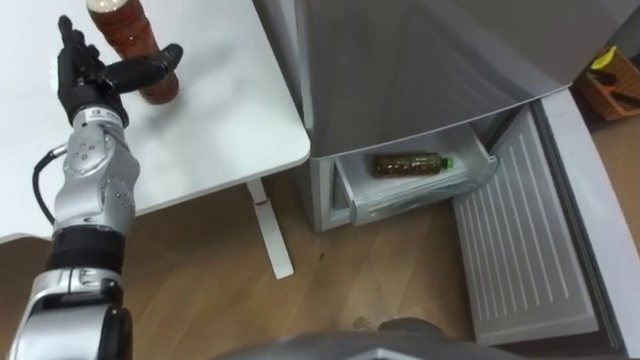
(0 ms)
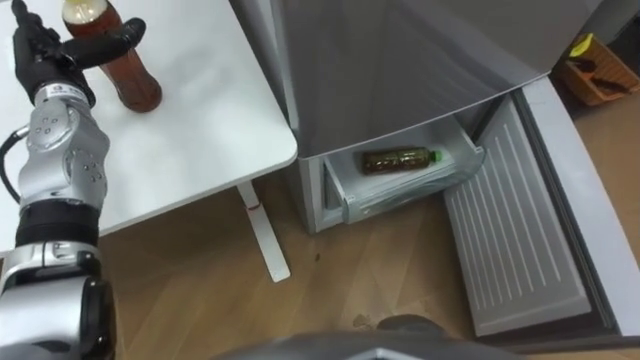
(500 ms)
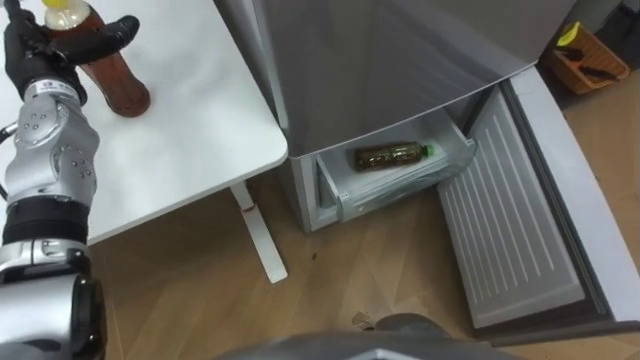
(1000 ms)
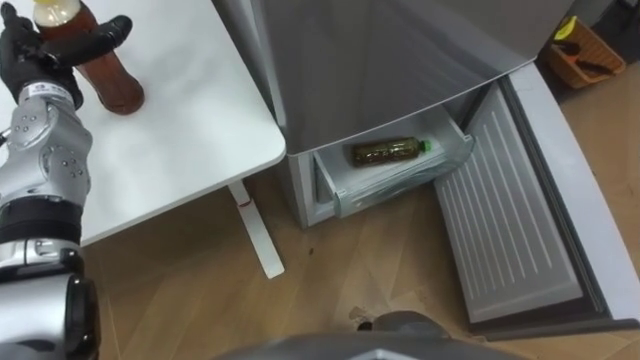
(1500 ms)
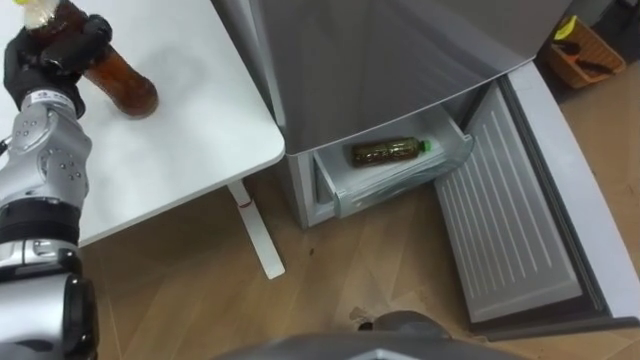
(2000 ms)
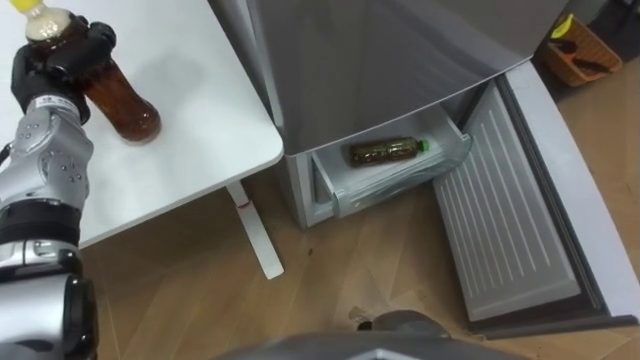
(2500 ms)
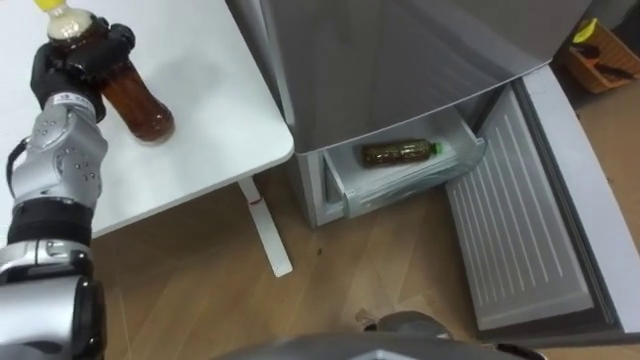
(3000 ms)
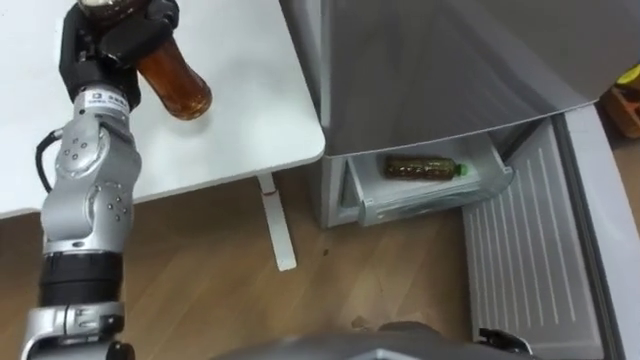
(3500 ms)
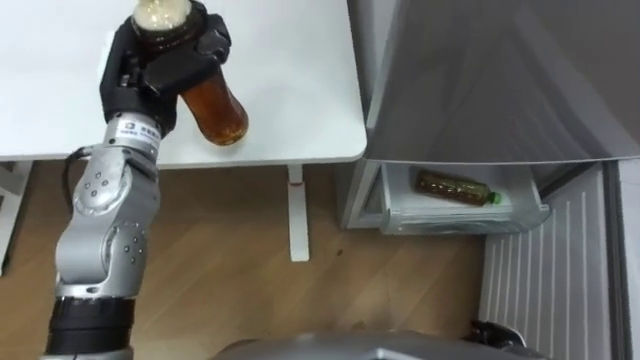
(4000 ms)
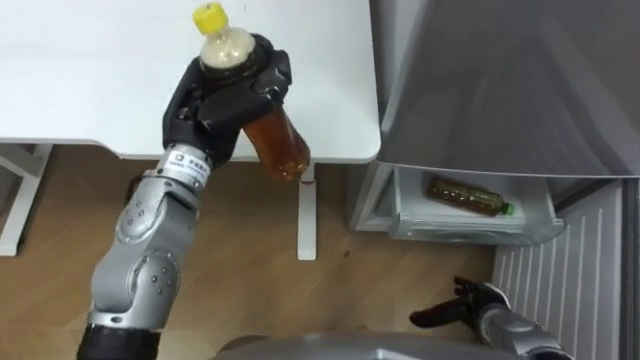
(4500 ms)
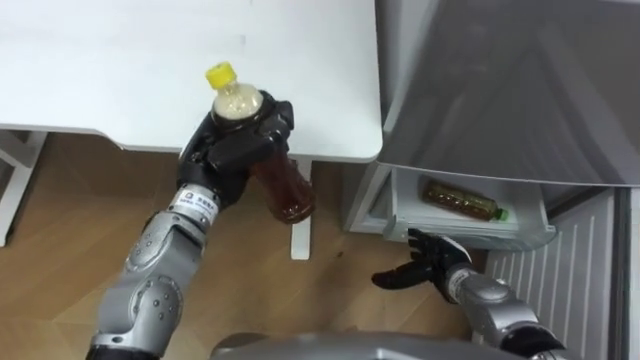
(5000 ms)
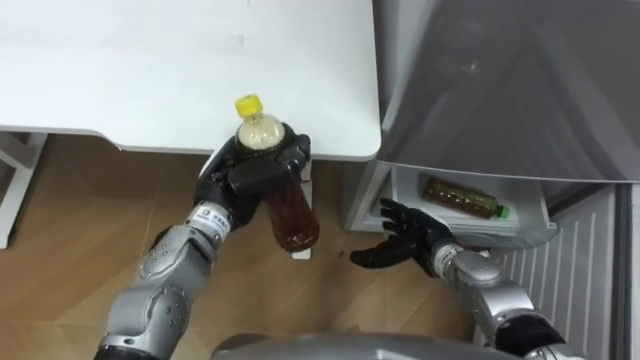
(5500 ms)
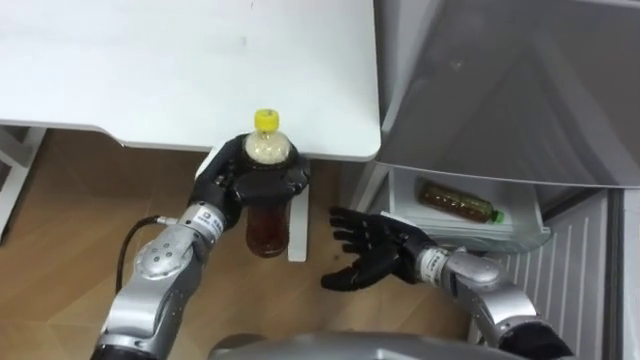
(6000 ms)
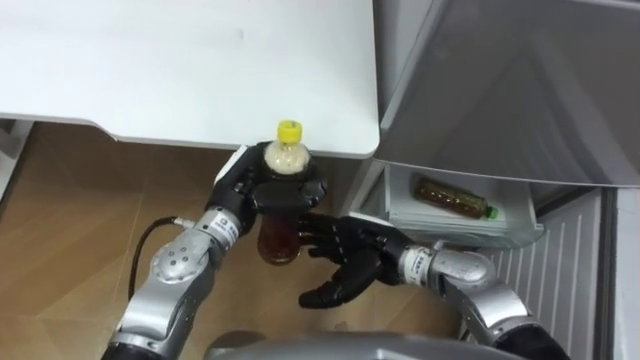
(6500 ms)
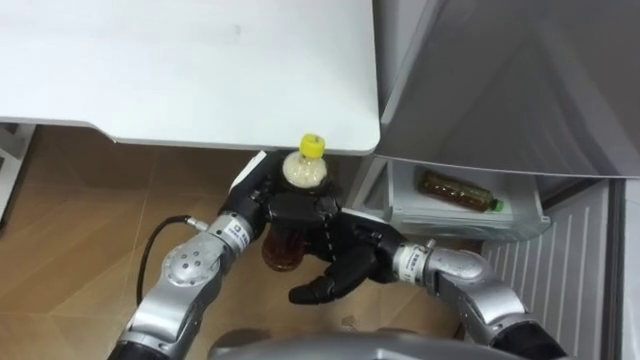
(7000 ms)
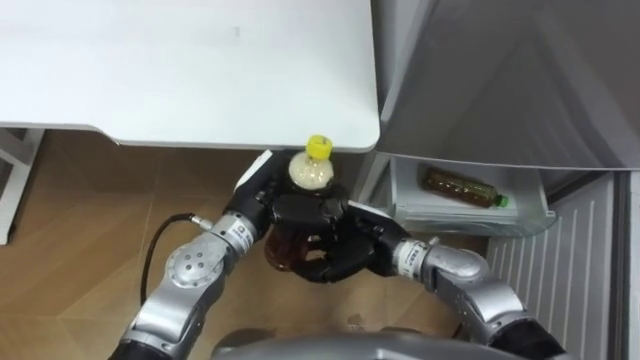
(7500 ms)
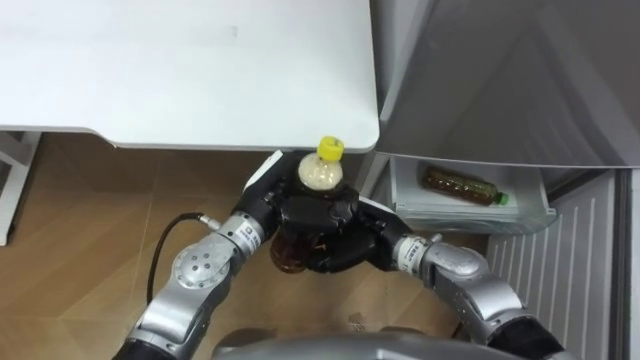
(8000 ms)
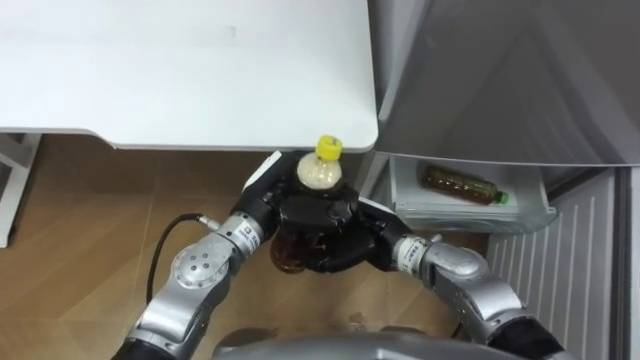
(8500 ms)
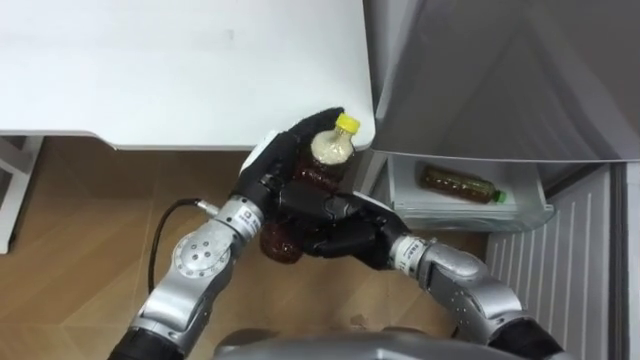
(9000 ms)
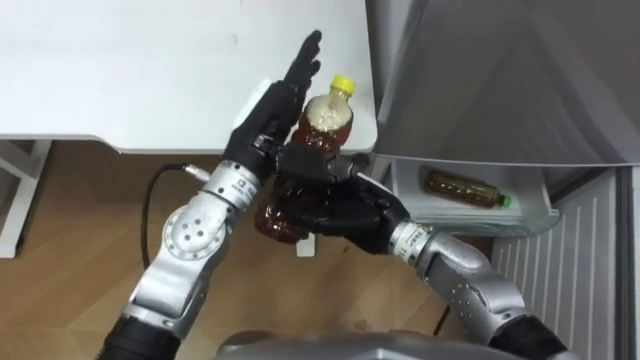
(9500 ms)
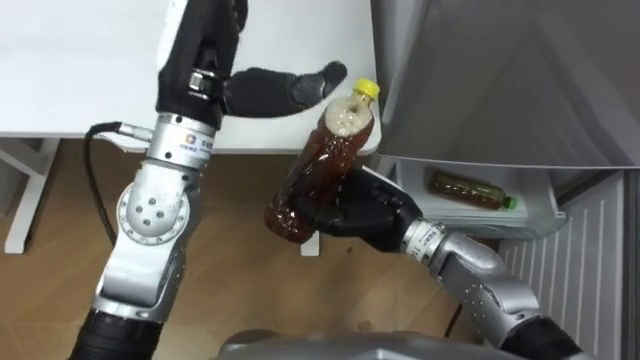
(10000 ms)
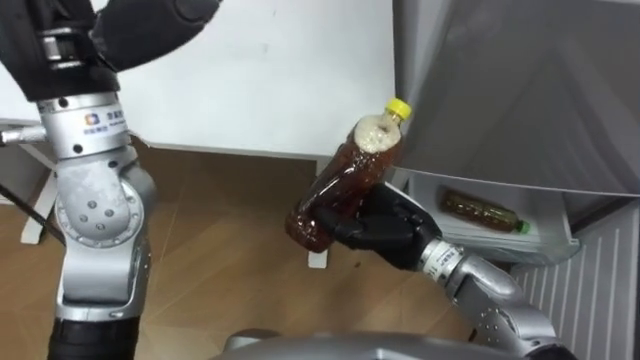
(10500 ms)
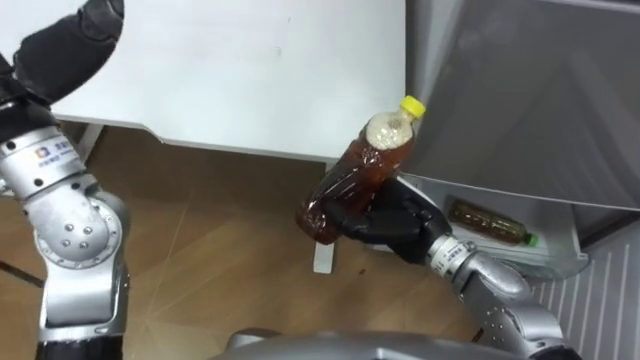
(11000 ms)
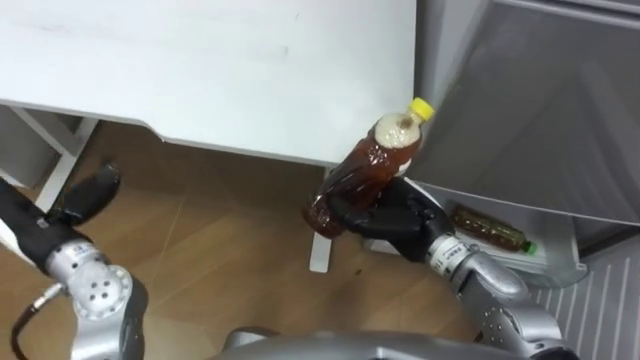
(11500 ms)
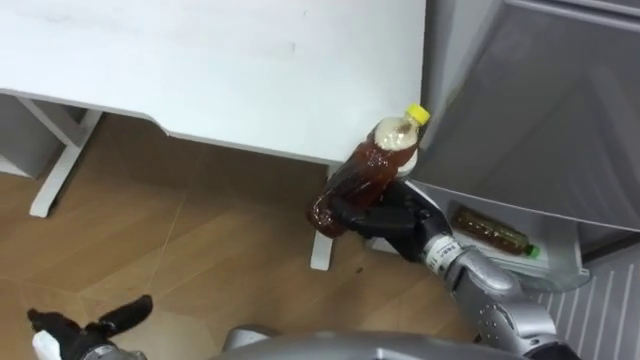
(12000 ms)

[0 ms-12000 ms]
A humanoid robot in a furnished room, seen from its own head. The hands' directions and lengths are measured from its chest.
Task of the whole recording: Place the drink on the table on the bottom shelf of the refrigerator, then close the drawer and the refrigerator door.
0 ms to 2000 ms: The left hand heads to the left, covering about 5 cm, and closes.
2000 ms to 4000 ms: The left hand goes about 15 cm to the right.
4000 ms to 6000 ms: The right hand moves to the left, forward and upward, approximately 25 cm; the left hand is displaced downward, to the right and backward by approximately 15 cm.
6000 ms to 8000 ms: The left hand is displaced to the right by approximately 5 cm. The right hand heads to the left, covering about 5 cm, and closes.
8000 ms to 10000 ms: The right hand shifts by approximately 5 cm. The left hand goes about 20 cm upward, and opens its fingers.
10000 ms to 12000 ms: The right hand heads to the right, covering roughly 5 cm.

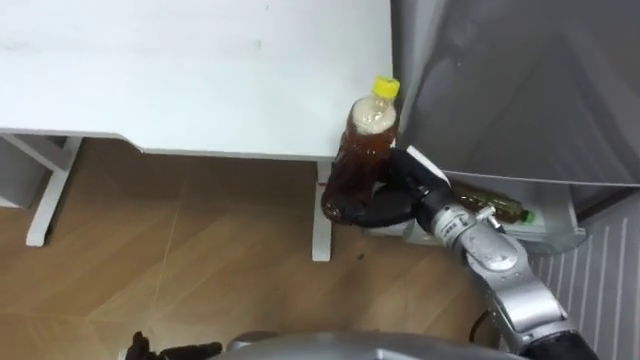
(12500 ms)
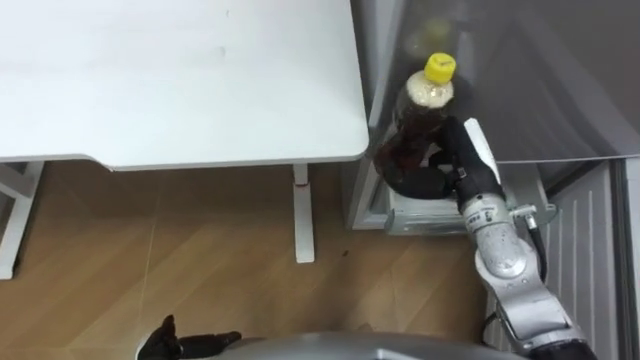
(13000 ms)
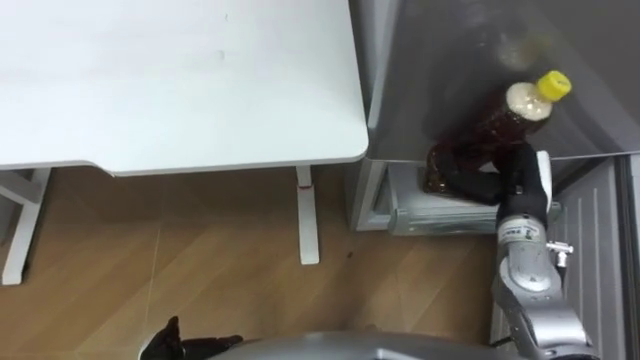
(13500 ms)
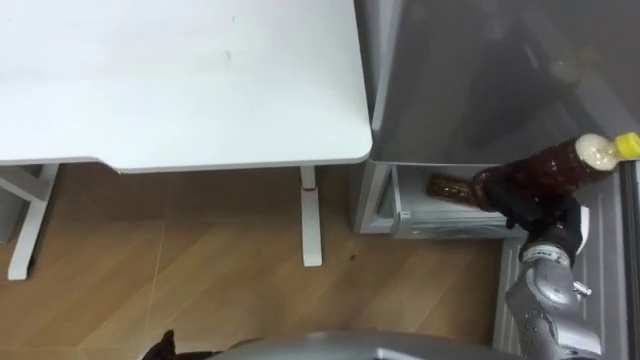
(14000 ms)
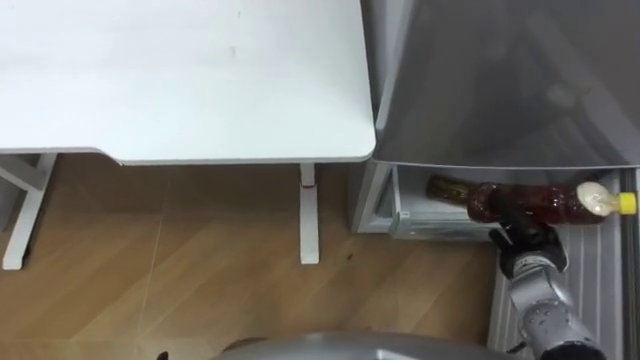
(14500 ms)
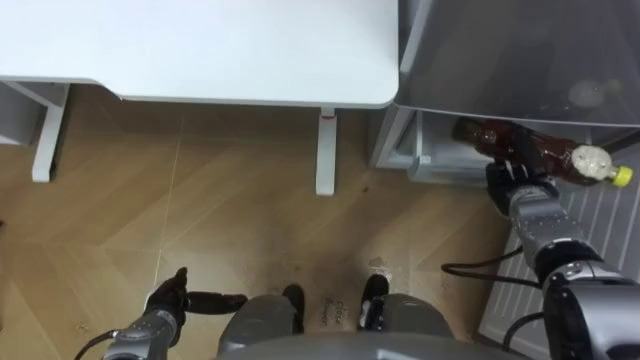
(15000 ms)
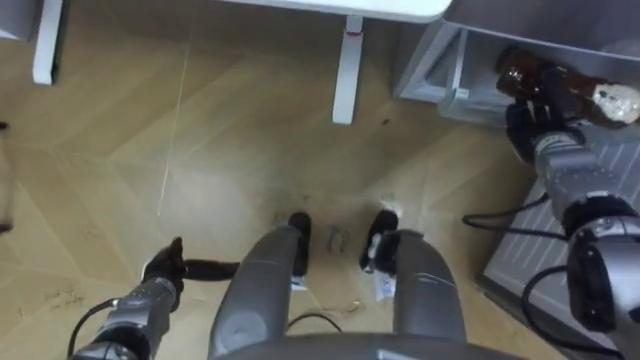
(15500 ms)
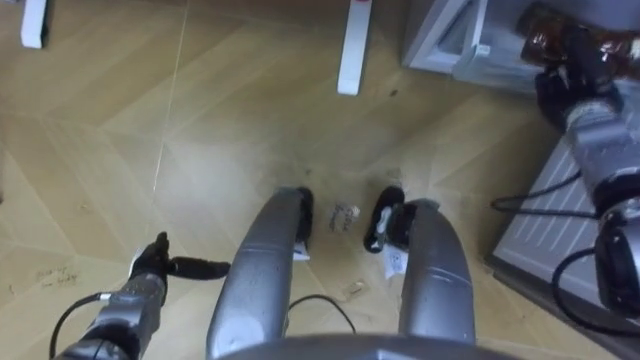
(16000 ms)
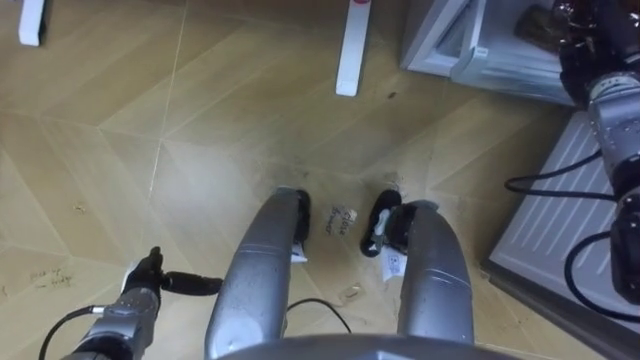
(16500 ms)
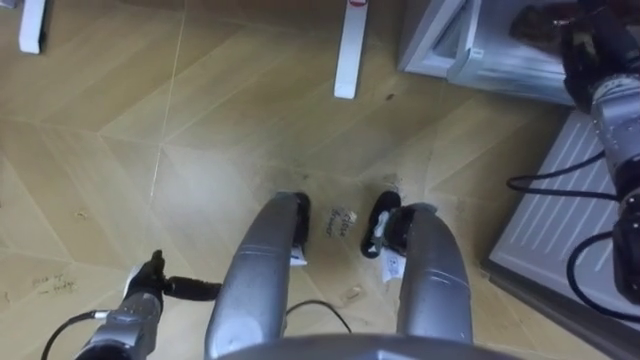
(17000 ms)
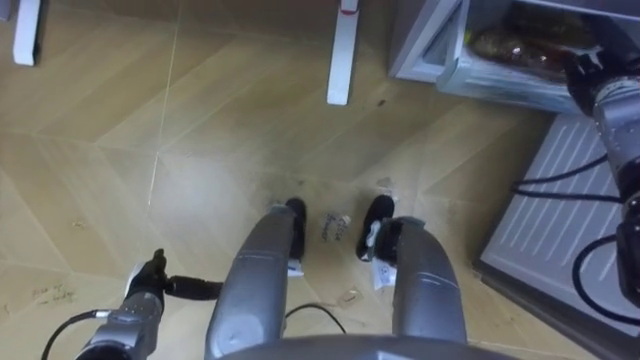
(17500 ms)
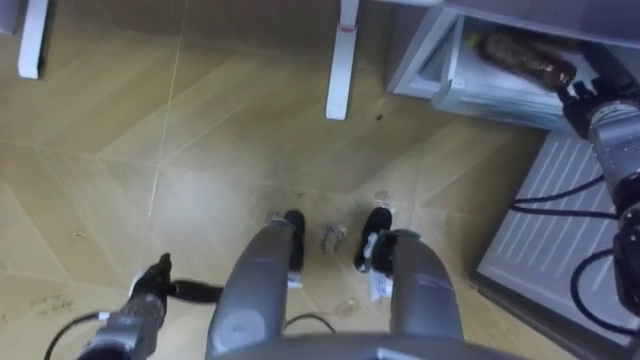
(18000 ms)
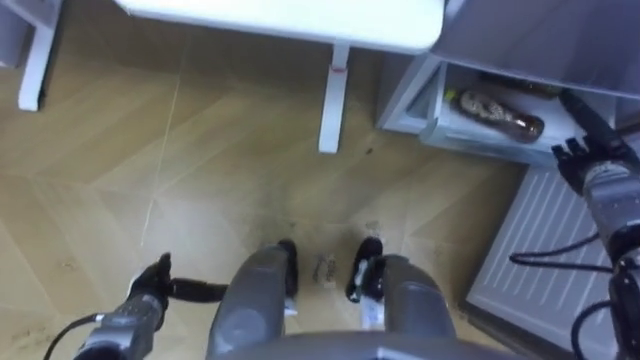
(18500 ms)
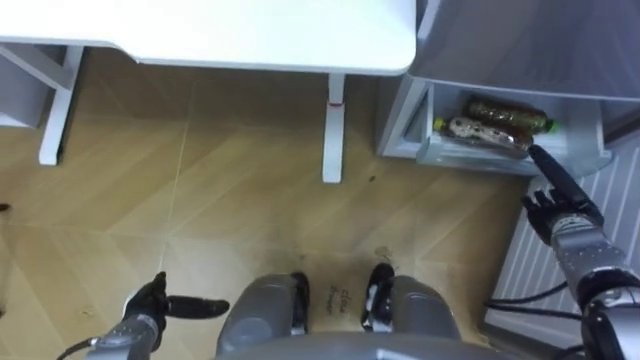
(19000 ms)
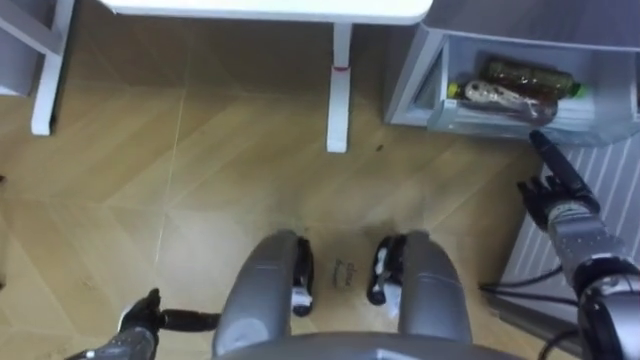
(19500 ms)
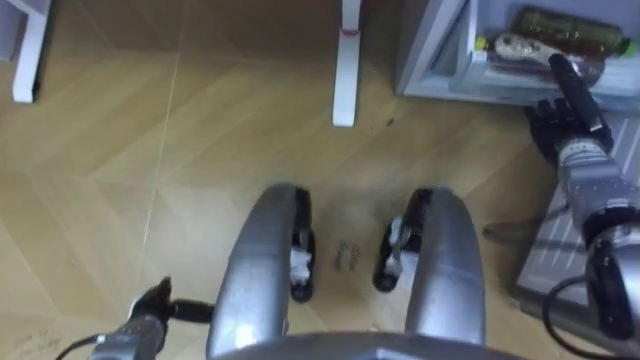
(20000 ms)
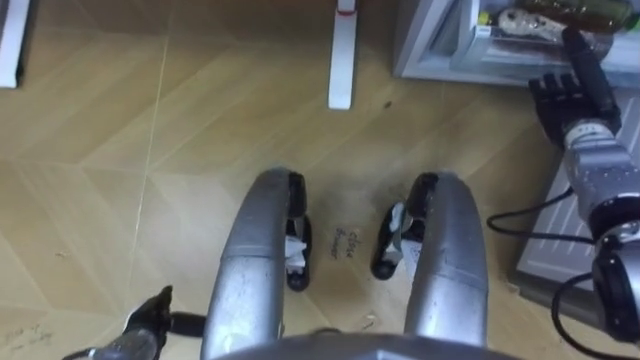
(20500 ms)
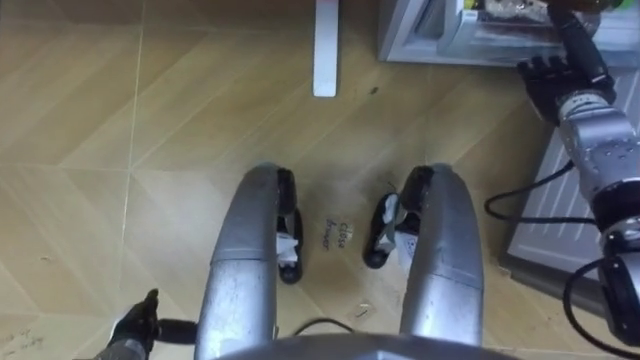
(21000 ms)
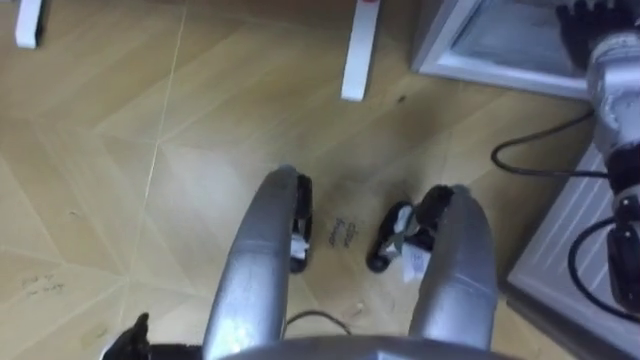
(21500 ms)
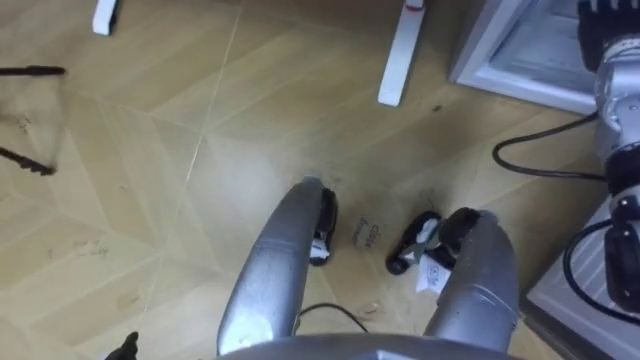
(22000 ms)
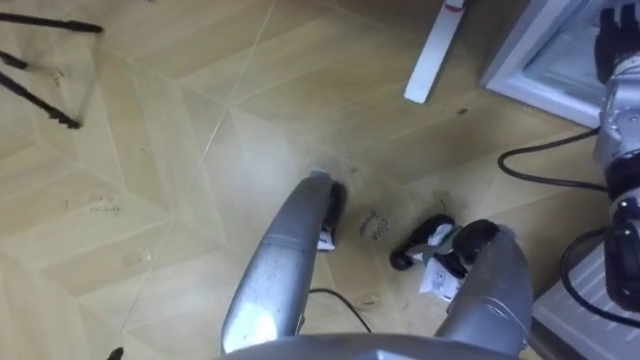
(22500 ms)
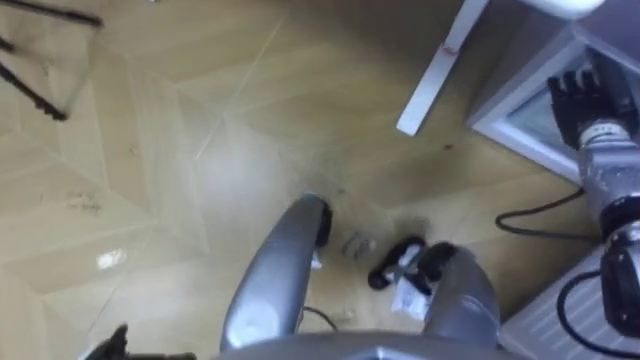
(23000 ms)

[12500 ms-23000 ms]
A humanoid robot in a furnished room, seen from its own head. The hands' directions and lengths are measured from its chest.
Task of the whole recording: Place the drink on the table on the bottom shelf of the refrigerator, then close the drawer and the refrigerator door.
12500 ms to 14500 ms: The right hand heads to the right and downward, covering approximately 20 cm.
14500 ms to 16500 ms: The right hand goes about 25 cm forward and upward.
16500 ms to 19000 ms: The right hand is displaced backward and downward by approximately 20 cm, and opens its fingers.
19000 ms to 21000 ms: The right hand moves forward and upward, some 20 cm.
21000 ms to 23000 ms: The right hand moves roughly 5 cm upward and comes back.
